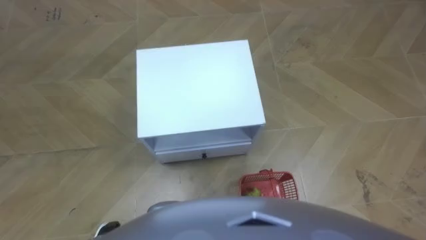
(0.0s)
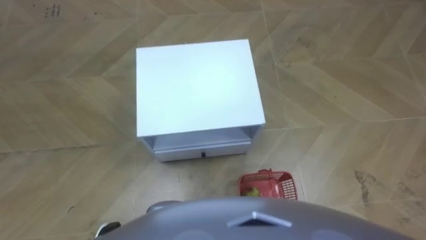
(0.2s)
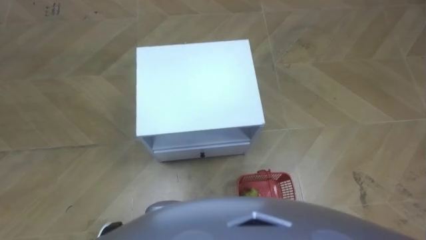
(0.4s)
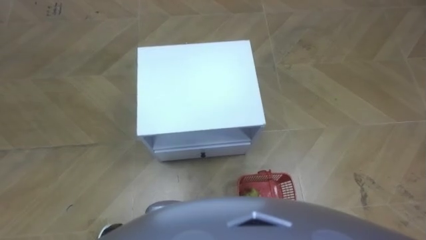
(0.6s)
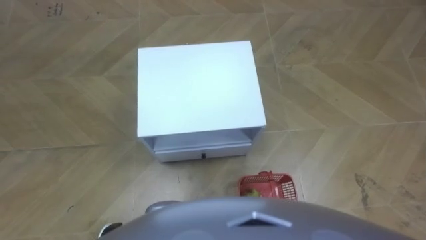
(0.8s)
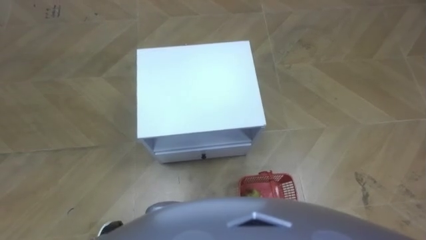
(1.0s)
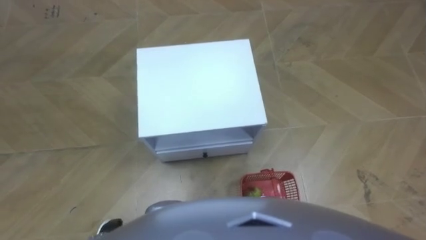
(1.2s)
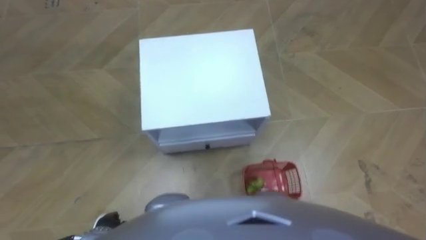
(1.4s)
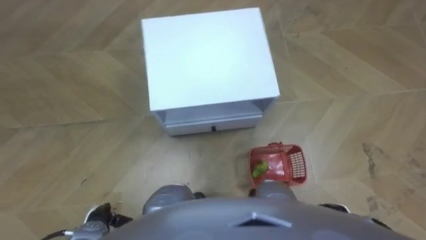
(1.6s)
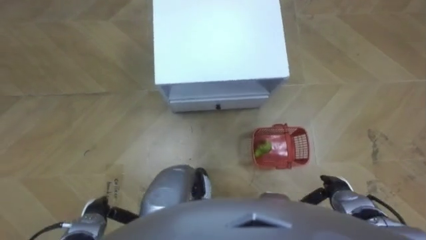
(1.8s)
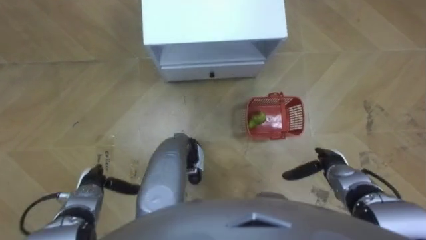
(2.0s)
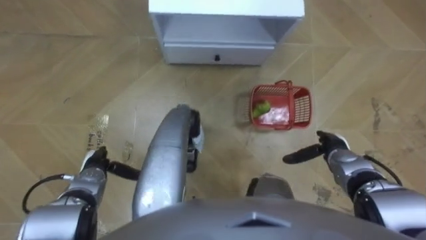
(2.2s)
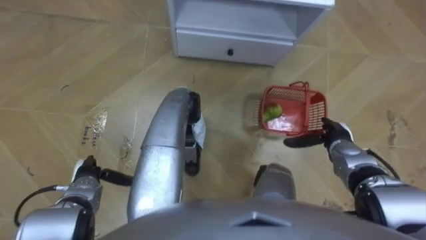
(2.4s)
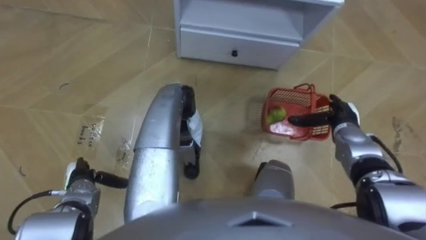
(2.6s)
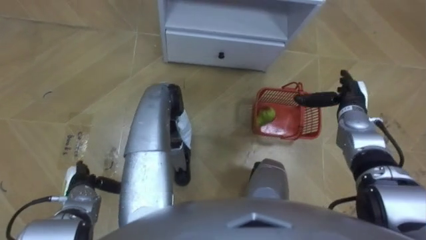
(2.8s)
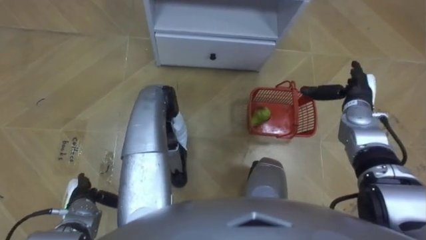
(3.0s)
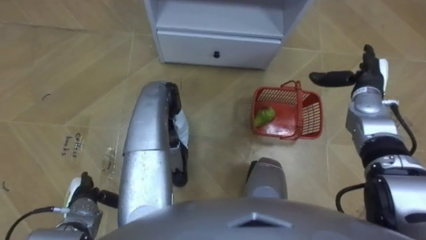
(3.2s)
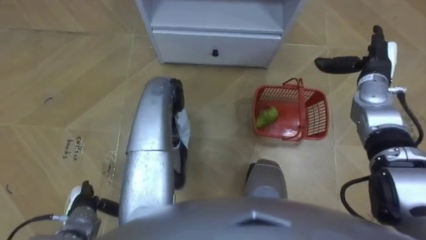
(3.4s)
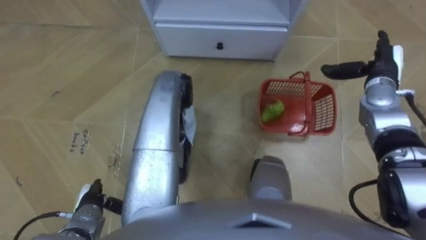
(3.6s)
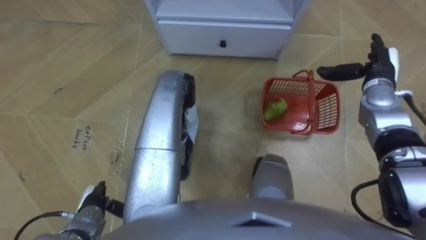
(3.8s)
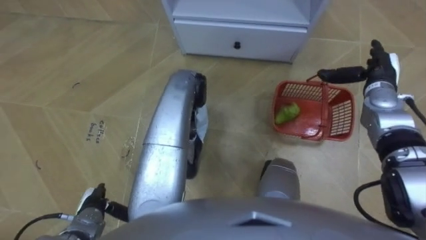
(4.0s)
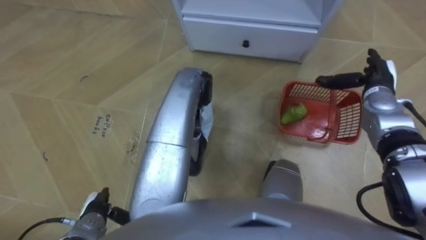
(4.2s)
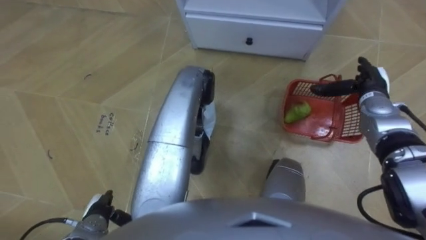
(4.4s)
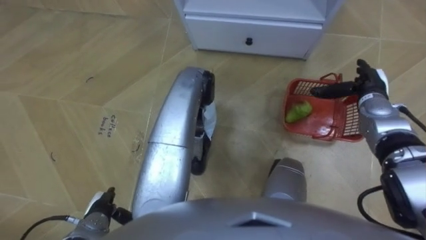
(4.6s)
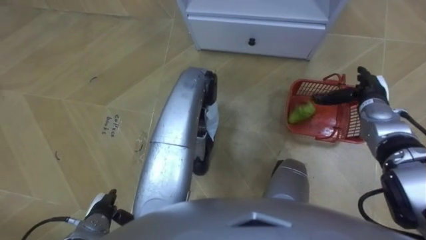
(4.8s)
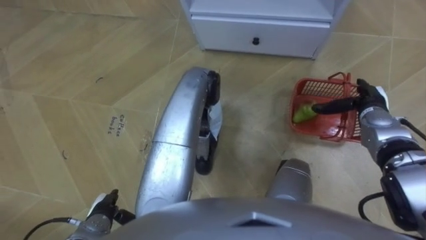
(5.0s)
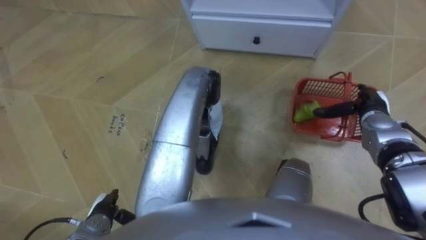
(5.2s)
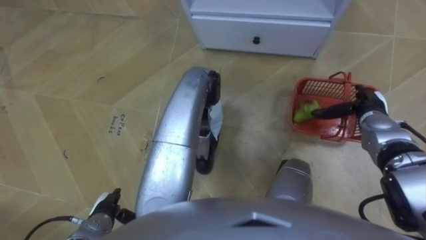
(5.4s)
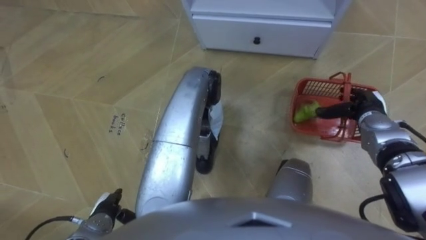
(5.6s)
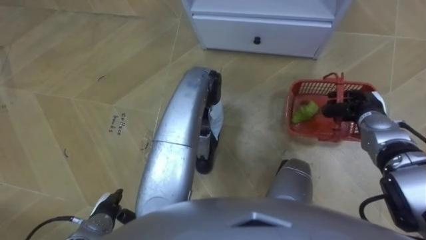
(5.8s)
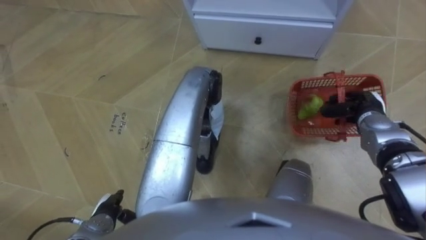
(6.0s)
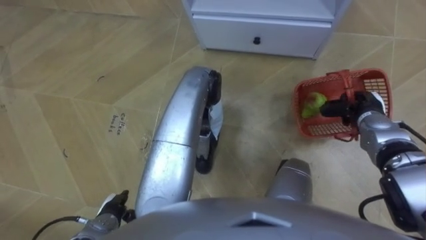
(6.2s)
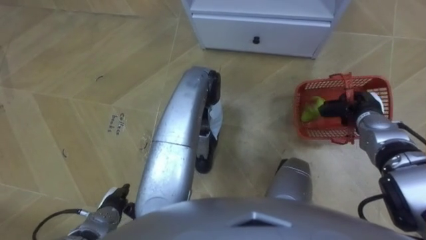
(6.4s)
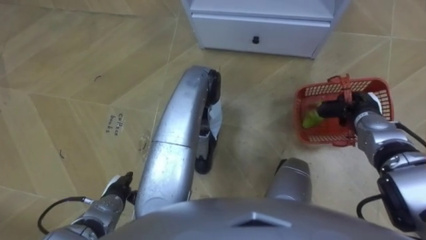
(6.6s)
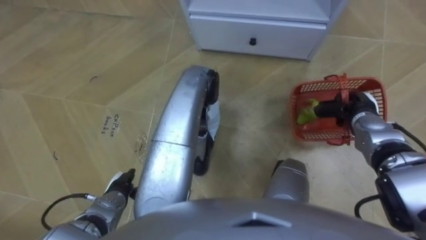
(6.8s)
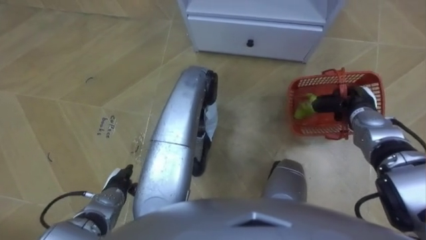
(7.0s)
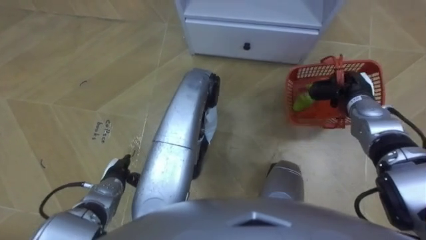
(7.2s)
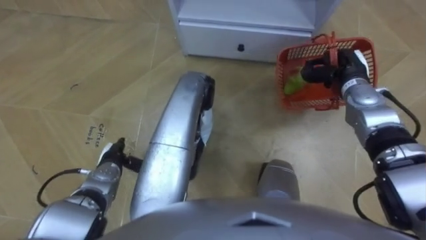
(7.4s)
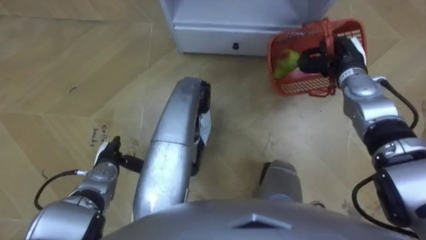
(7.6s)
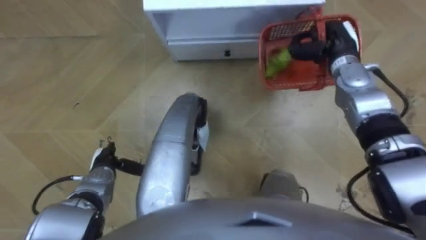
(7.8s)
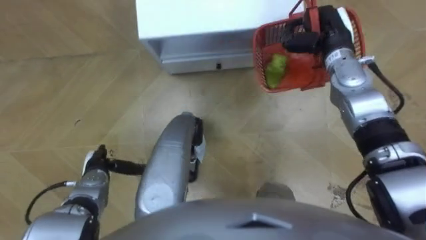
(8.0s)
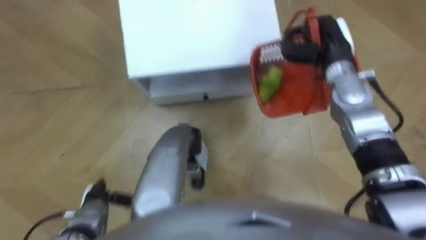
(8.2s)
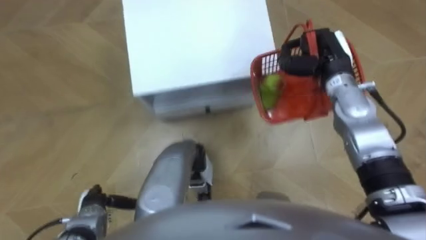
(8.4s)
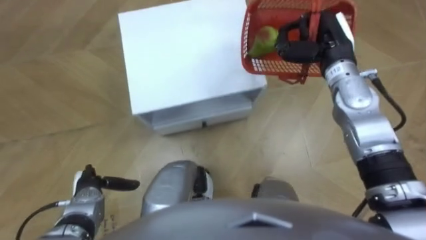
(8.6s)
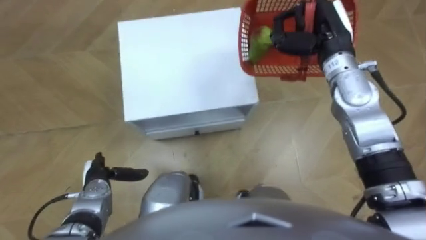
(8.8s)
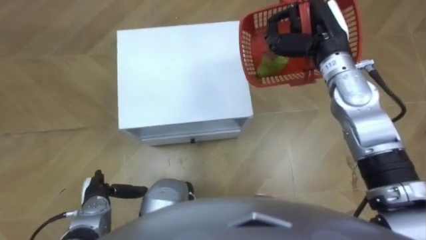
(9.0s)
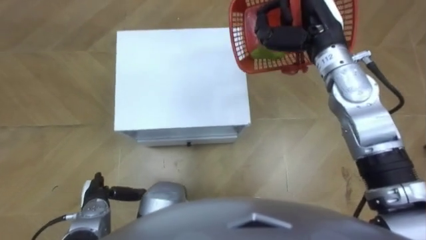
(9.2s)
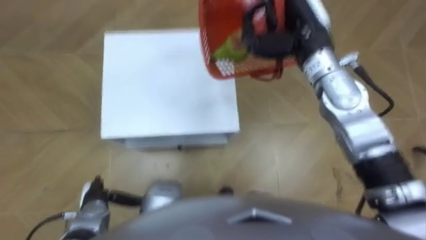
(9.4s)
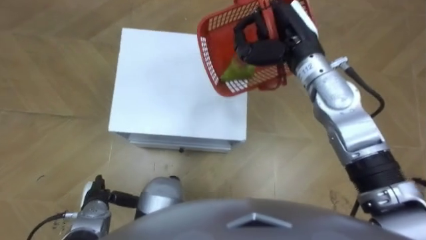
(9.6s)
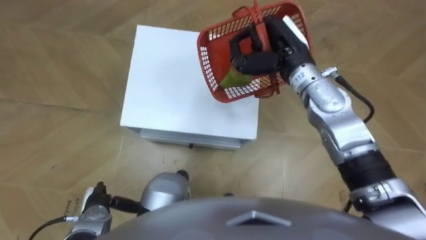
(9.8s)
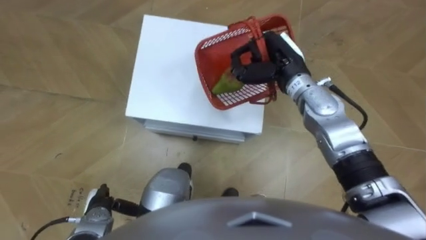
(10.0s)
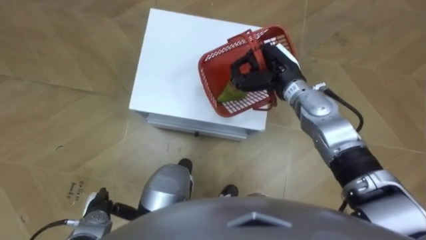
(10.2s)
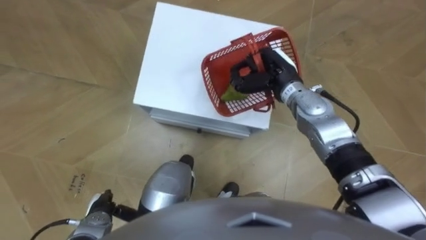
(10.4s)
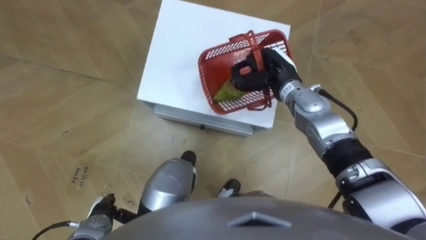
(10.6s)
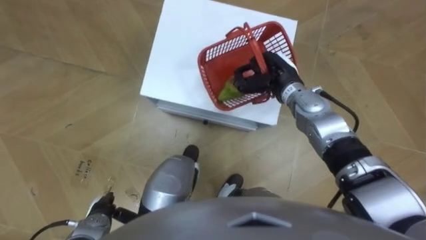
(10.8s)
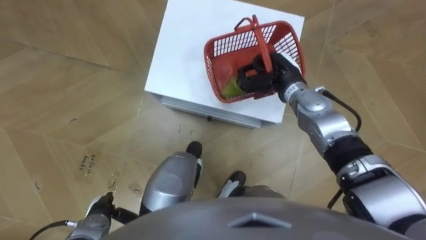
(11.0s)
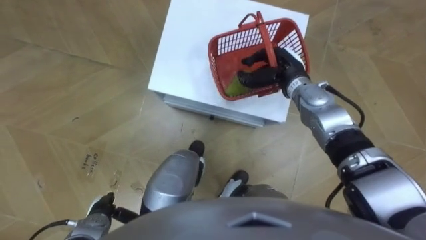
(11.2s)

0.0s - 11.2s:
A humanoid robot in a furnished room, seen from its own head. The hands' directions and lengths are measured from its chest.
Task of the whole recording: Pick up the fruit basket from the floor and place it on the cabinet.
1.6s - 3.2s: The right hand heads forward and upward, covering about 30 cm. Meanwhile the left hand moves forward, roughly 5 cm.
3.2s - 4.8s: The left hand moves about 5 cm.
4.8s - 6.4s: The right hand closes its fingers.
6.4s - 8.0s: The right hand travels upward, forward and to the left by some 20 cm, while the left hand shifts some 10 cm forward.
8.0s - 9.6s: The left hand moves forward and backward over some 10 cm, changing direction 2 times. The right hand goes approximately 10 cm to the left and upward.
9.6s - 11.2s: The right hand shifts about 10 cm downward.

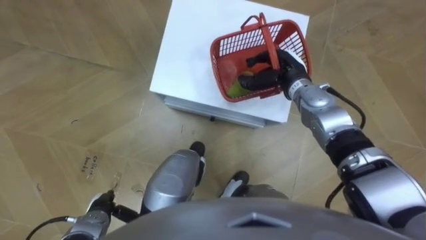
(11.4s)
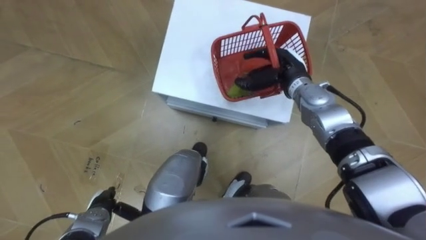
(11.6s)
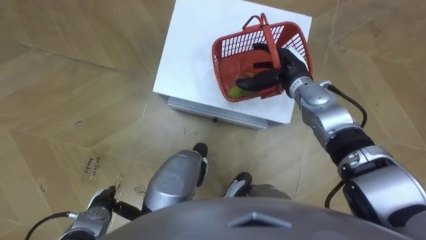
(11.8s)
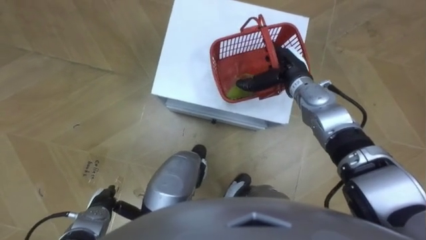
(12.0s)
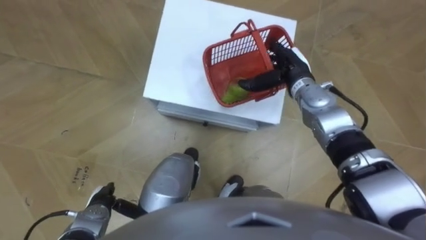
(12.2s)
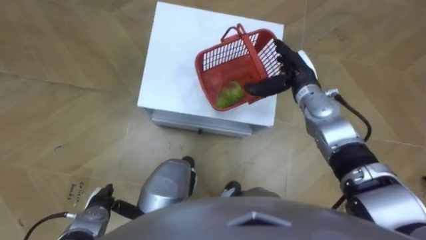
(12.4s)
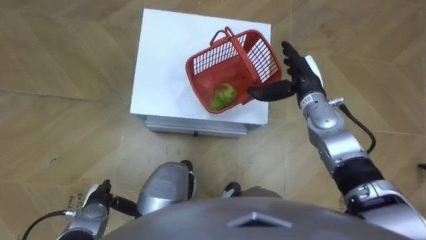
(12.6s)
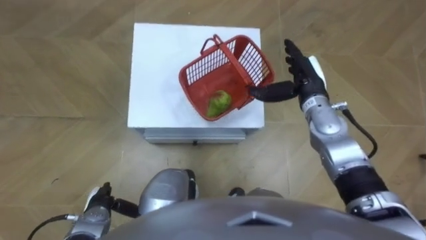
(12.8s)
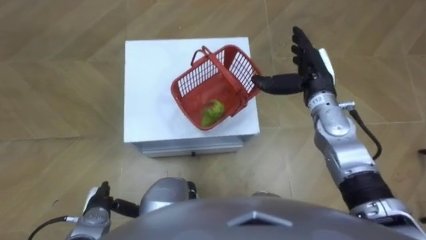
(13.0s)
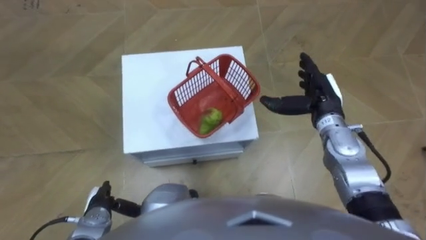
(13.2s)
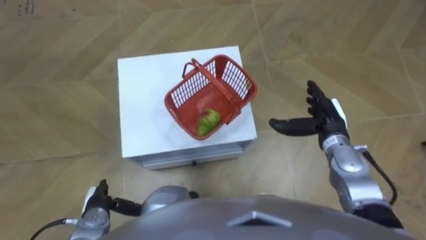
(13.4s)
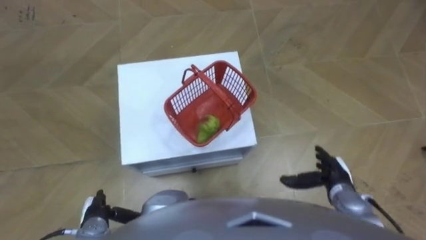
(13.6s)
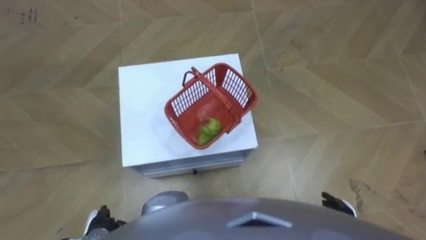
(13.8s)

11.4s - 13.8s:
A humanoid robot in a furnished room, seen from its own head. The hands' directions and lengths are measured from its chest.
Task of the whole recording: Pick up the fruit basket from the floor and place it on the cabinet.
11.4s - 12.6s: The right hand opens.
12.6s - 13.8s: The right hand is displaced backward and downward by roughly 30 cm, while the left hand shifts roughly 5 cm backward.

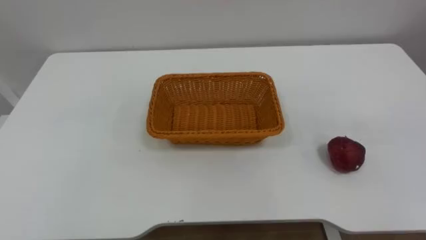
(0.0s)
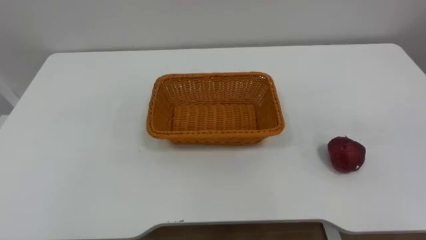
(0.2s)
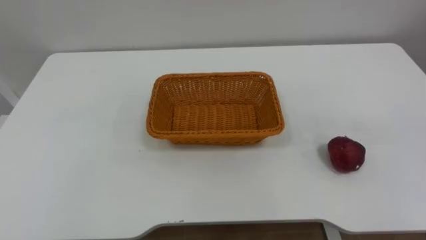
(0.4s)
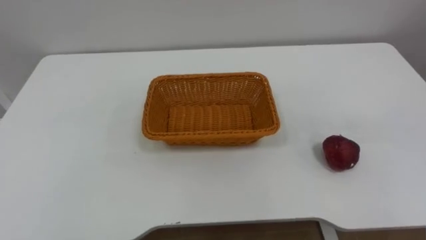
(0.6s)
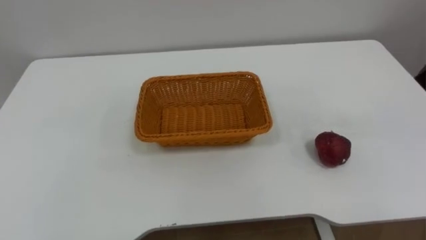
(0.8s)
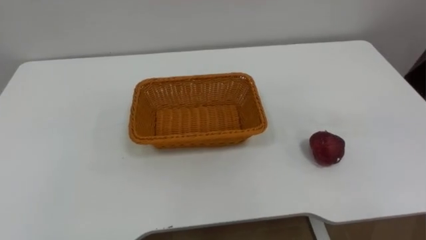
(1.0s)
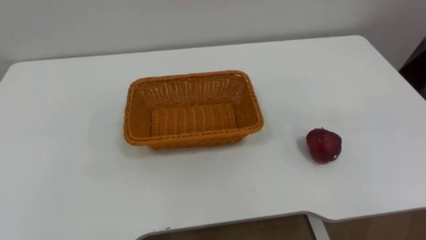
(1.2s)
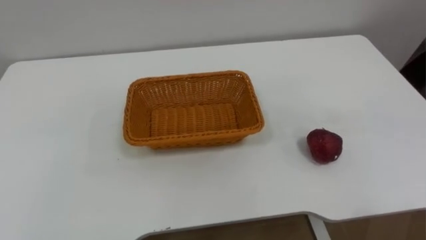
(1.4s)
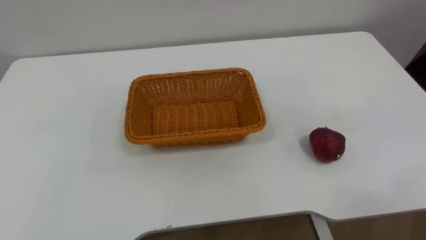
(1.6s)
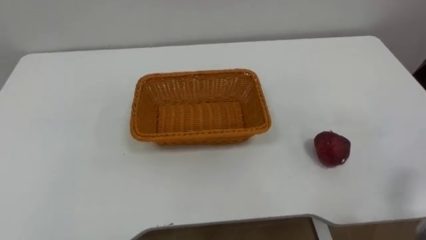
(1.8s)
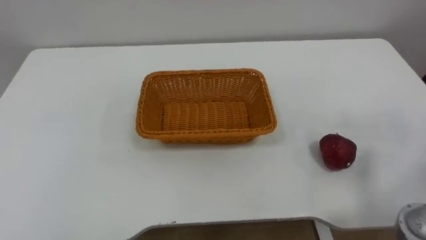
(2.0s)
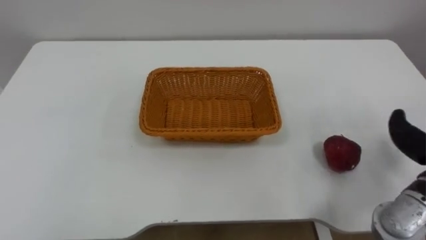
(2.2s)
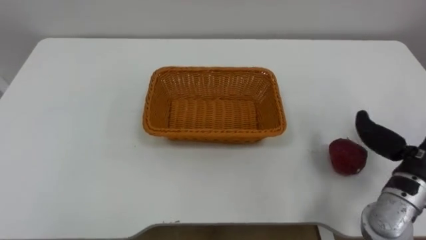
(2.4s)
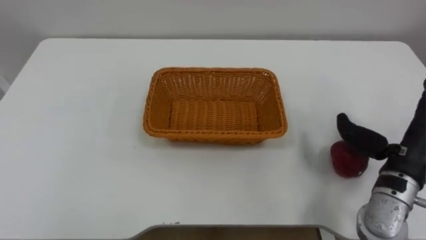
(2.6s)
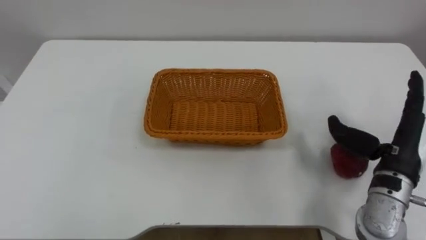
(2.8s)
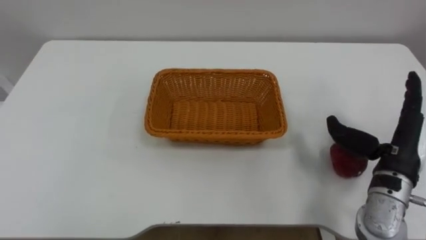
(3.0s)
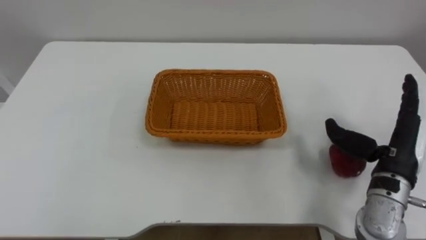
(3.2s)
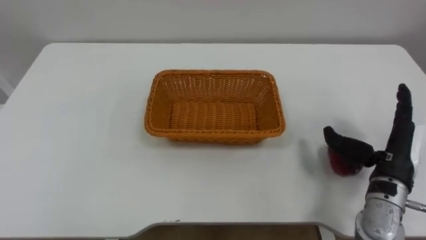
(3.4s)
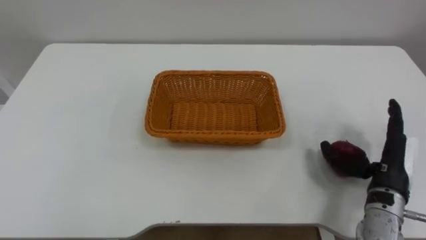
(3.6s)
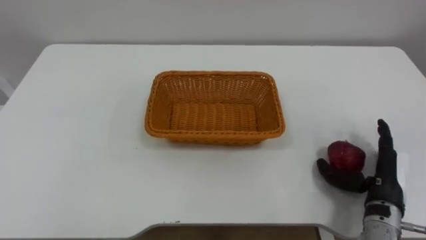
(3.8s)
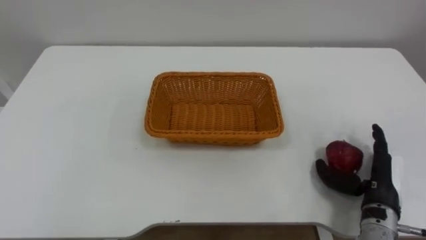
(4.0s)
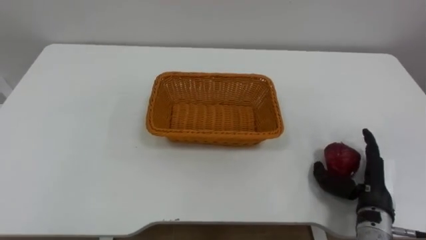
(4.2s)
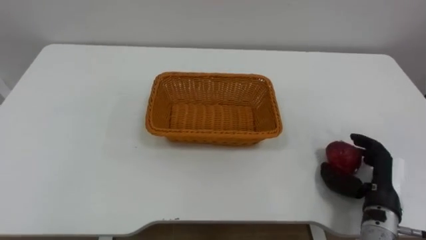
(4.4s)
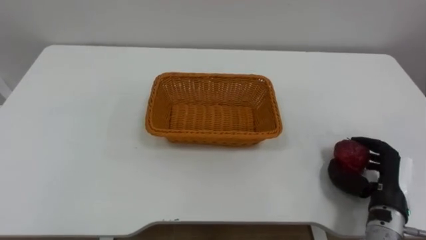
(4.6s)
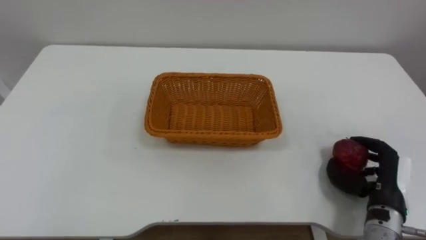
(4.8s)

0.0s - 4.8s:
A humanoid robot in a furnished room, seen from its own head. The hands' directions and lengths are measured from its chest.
Task of the whole recording: Pick the apple and place it in the box.
3.2s - 4.8s: The right hand heads downward, covering some 10 cm, and closes its fingers.
